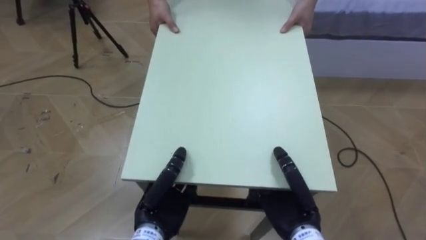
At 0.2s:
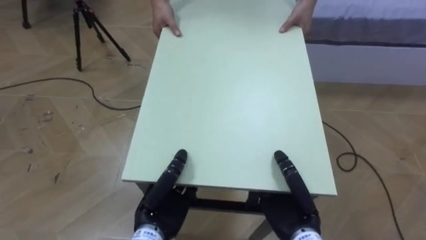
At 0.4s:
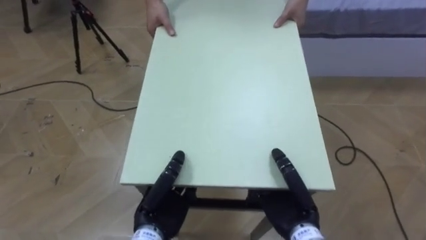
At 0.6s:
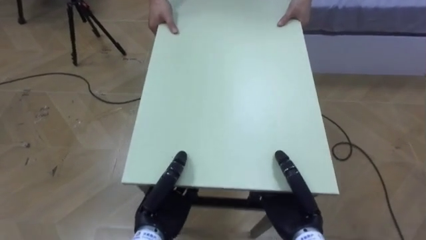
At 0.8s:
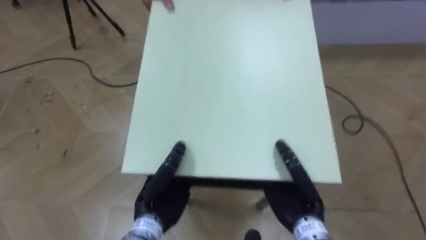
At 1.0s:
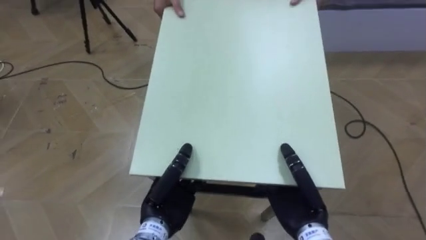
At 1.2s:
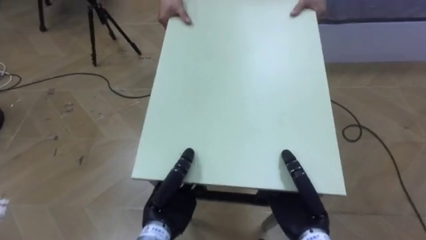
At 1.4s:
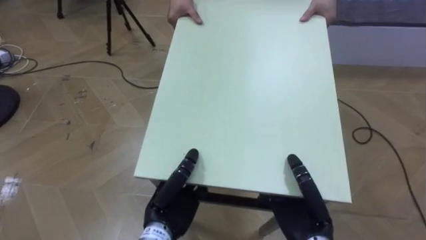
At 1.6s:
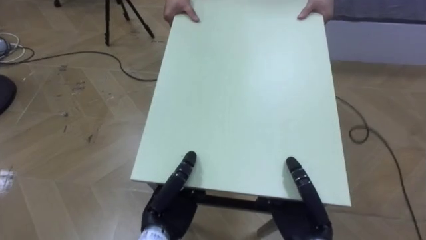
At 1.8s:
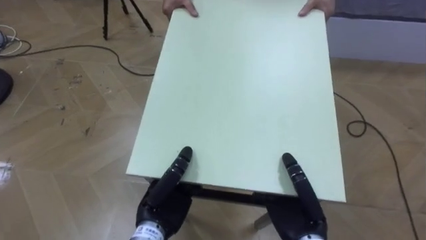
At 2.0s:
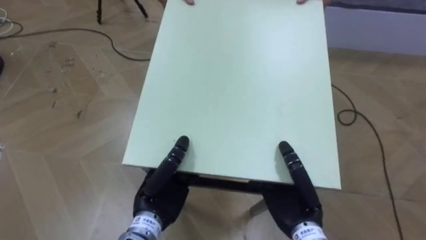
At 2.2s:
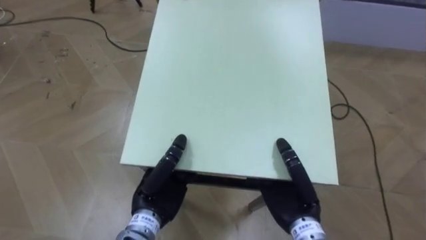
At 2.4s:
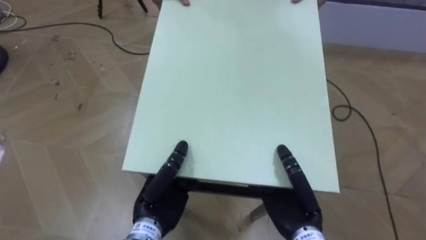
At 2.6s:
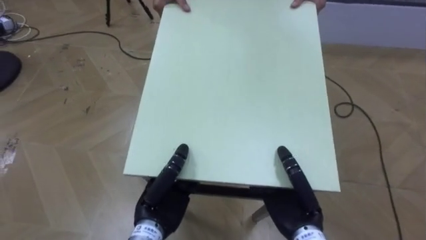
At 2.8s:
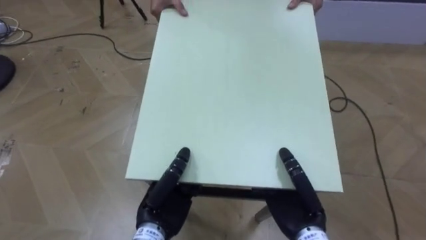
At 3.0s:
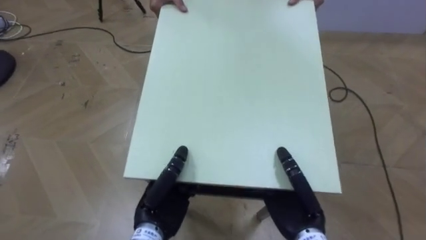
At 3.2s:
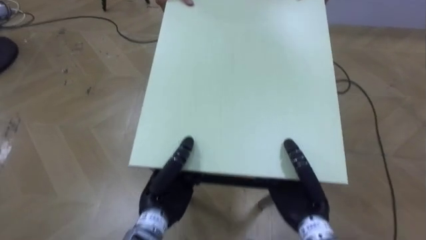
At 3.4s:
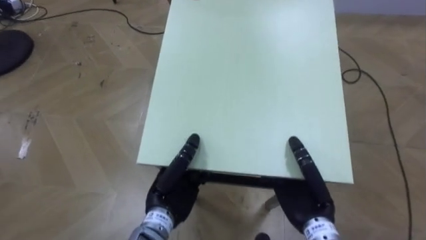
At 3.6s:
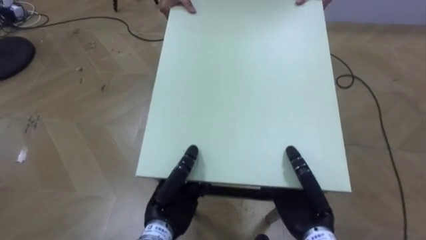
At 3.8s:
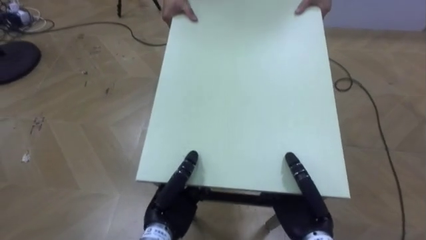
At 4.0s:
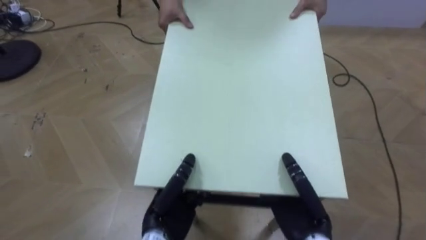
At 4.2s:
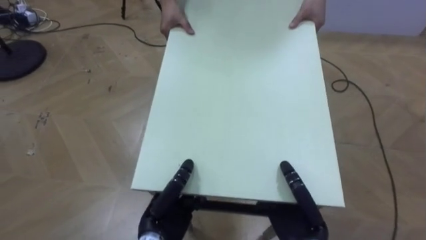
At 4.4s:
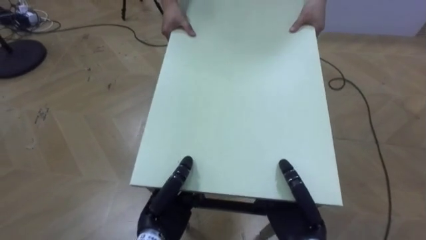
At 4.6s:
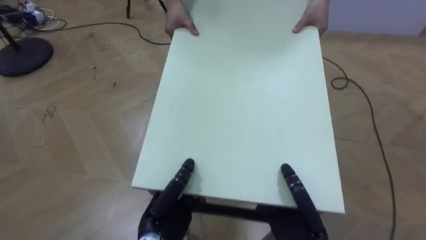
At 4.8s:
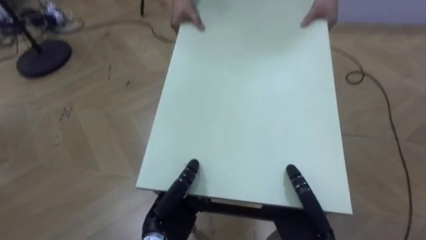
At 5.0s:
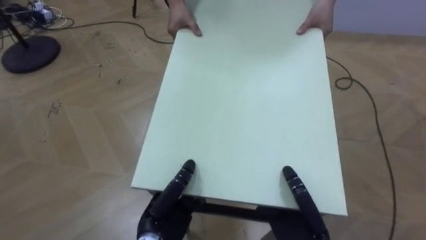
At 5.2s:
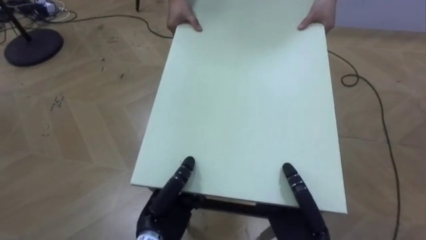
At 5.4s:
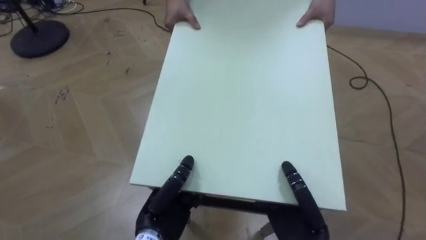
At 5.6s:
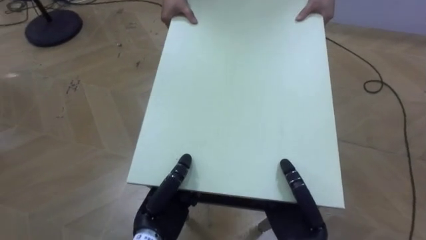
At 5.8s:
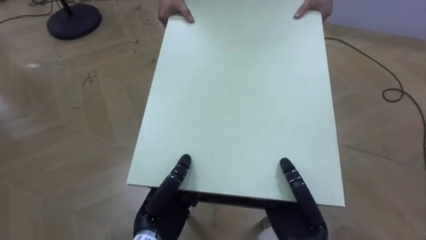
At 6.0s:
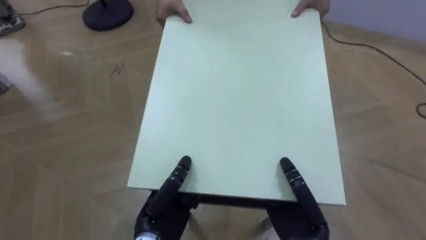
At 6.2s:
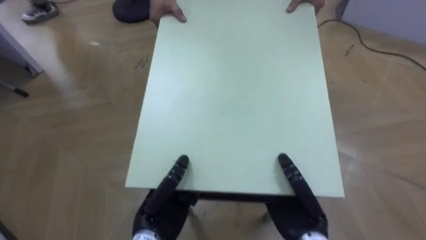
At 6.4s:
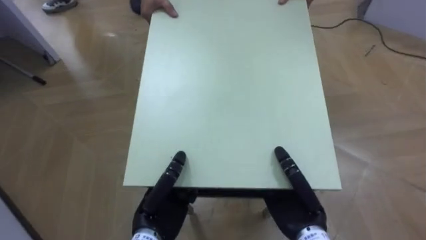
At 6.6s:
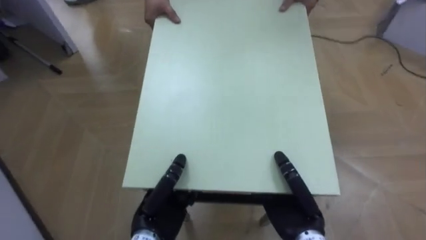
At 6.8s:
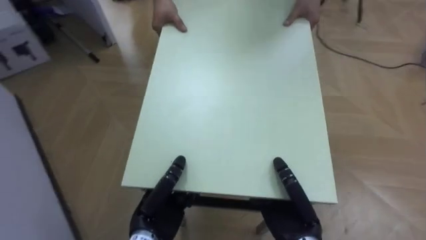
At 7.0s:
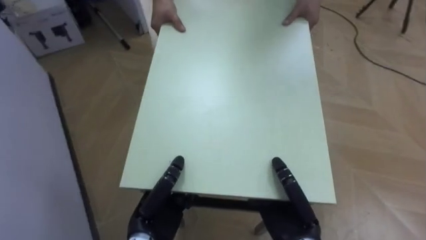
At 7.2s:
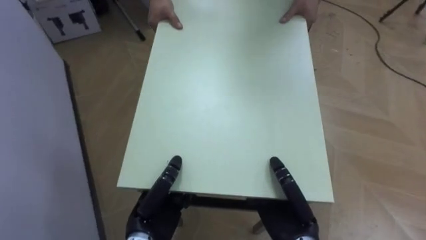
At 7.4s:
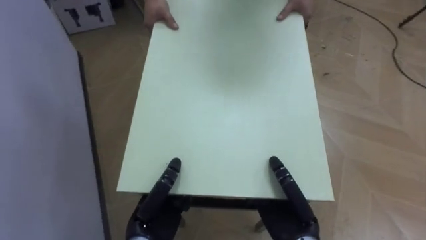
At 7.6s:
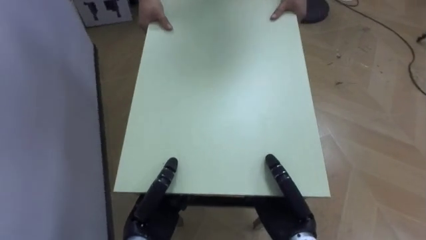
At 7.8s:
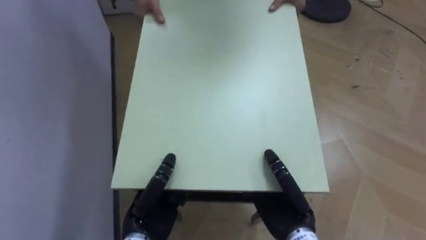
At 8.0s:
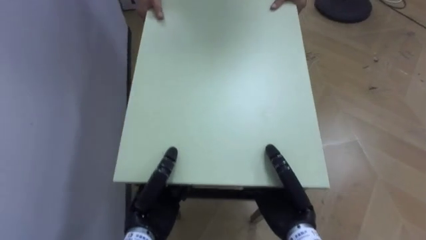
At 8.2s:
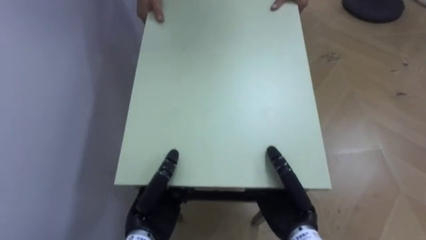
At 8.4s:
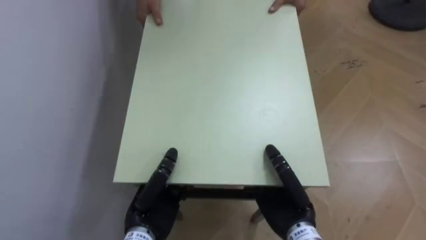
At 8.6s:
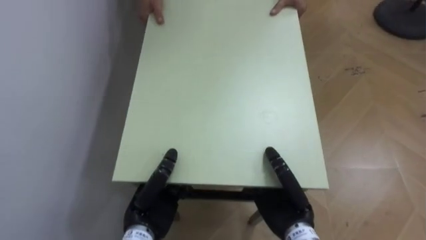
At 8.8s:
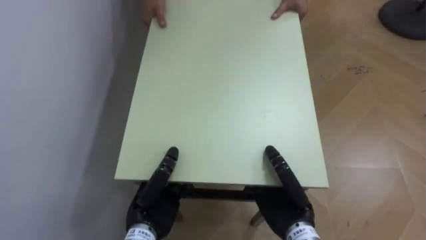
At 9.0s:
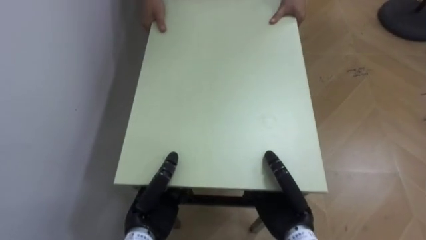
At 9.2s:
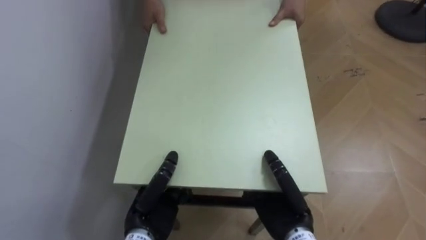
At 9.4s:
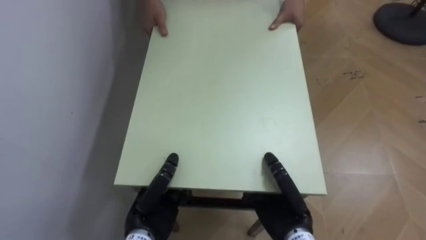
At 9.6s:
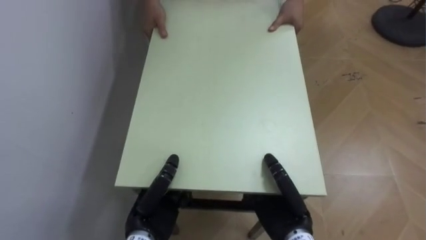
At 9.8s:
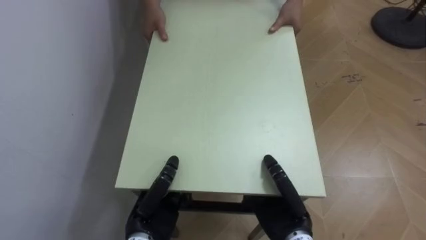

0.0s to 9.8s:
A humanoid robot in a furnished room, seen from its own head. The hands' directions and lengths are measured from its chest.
Task of the whole recording: Move the table to the back left with someone.
5.6s to 7.0s: The robot rotates roughly 40 degrees to its left.
7.0s to 8.4s: The robot's body swings approximately 30 degrees to its left.

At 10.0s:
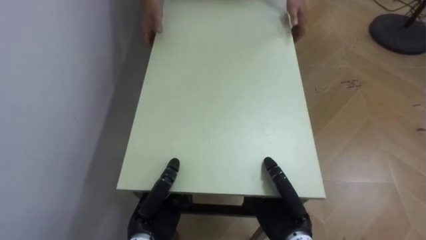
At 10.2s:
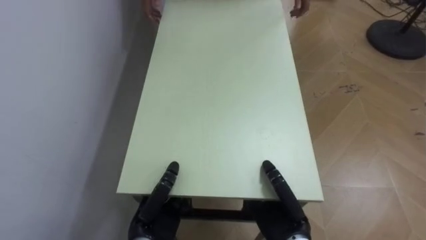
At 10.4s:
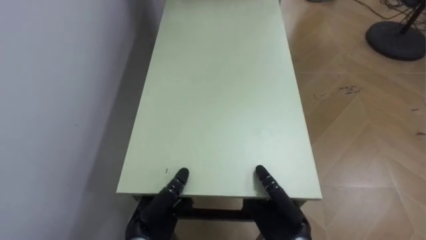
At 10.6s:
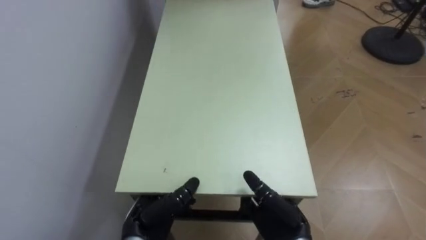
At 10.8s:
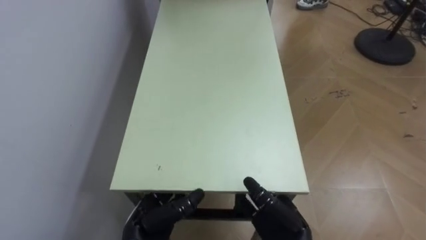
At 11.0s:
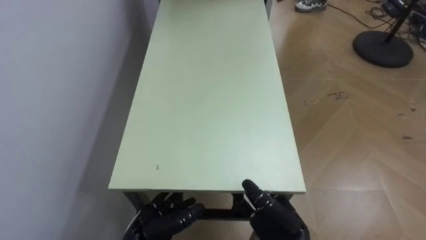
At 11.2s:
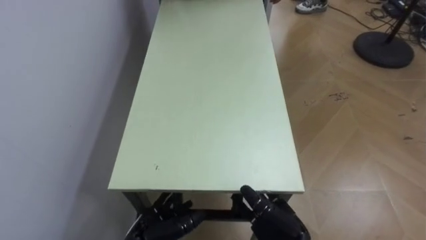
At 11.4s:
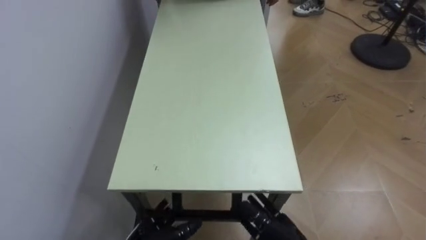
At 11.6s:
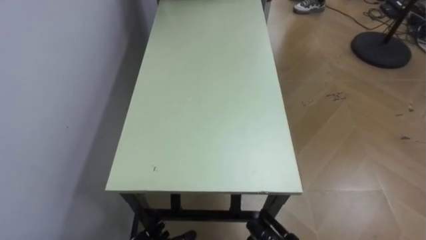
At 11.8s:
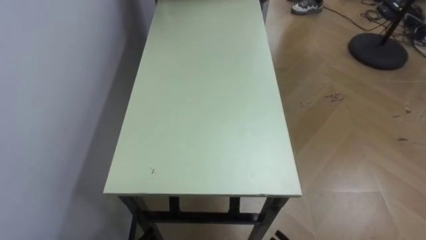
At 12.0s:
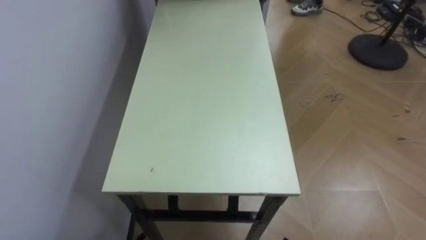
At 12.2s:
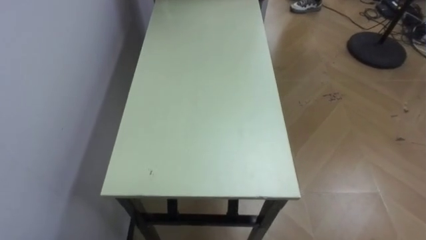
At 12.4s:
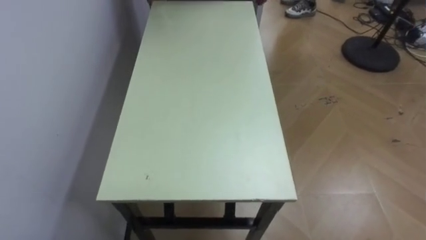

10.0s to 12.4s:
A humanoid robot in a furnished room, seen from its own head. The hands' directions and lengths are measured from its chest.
Task of the whole recording: Move the table to the back left with someone.
10.0s to 11.2s: The right hand opens up. The left hand ends up about 5 cm from where it was, and opens.

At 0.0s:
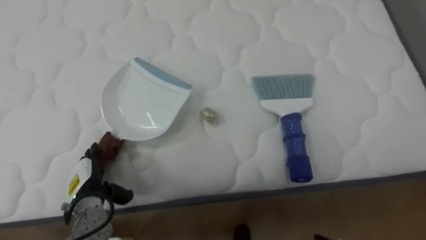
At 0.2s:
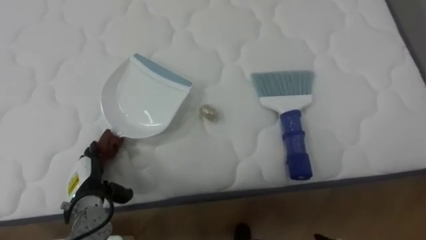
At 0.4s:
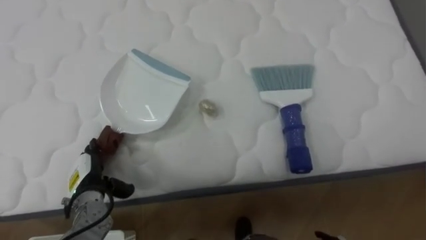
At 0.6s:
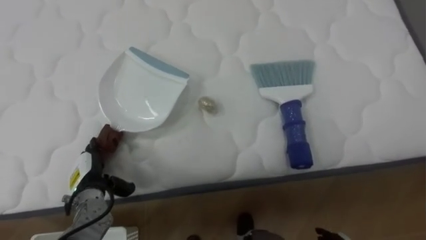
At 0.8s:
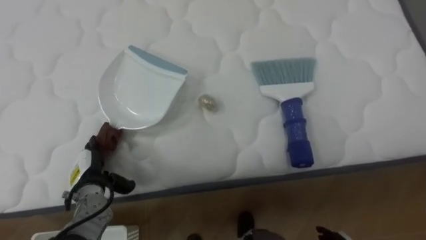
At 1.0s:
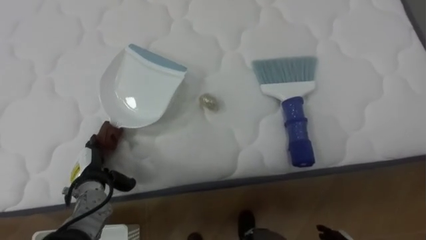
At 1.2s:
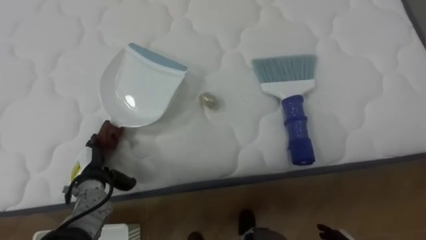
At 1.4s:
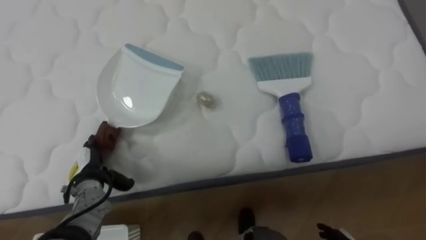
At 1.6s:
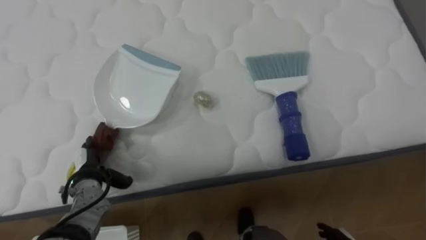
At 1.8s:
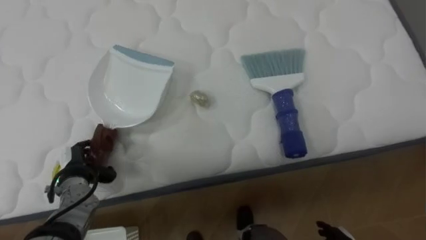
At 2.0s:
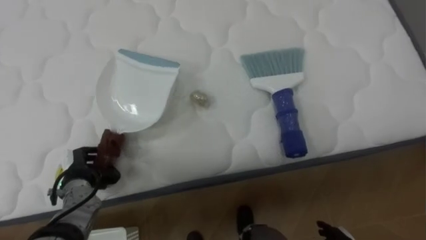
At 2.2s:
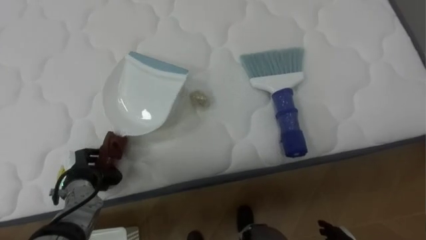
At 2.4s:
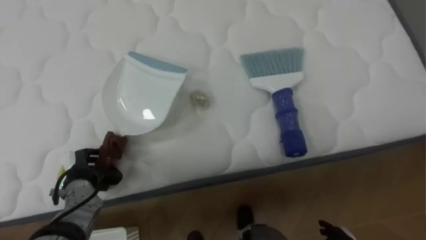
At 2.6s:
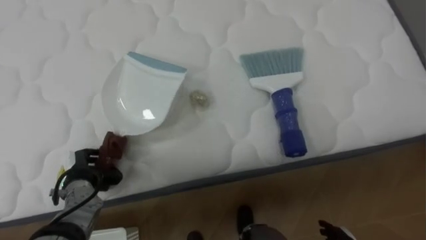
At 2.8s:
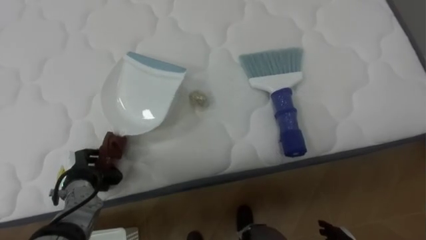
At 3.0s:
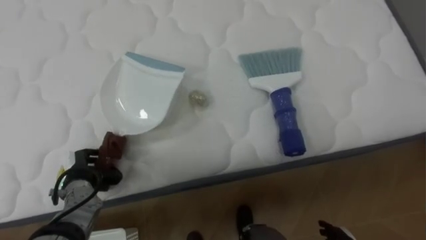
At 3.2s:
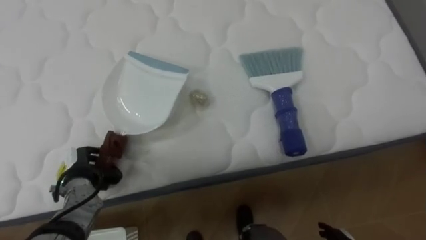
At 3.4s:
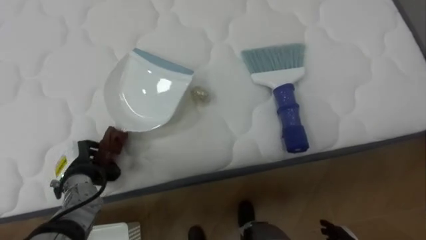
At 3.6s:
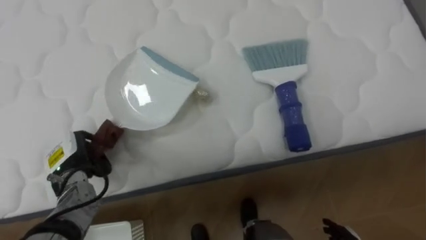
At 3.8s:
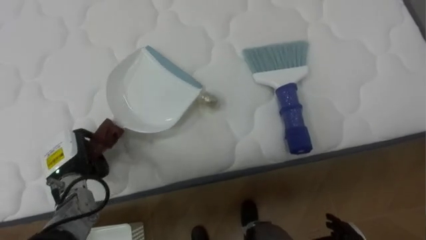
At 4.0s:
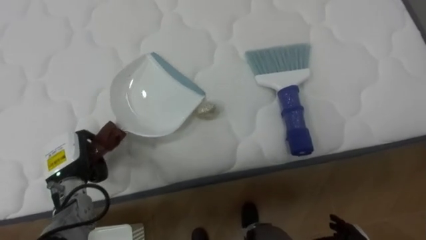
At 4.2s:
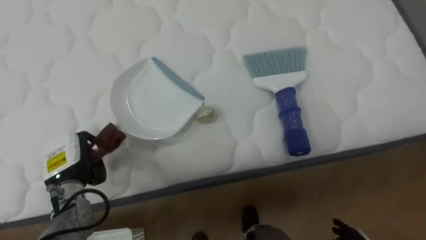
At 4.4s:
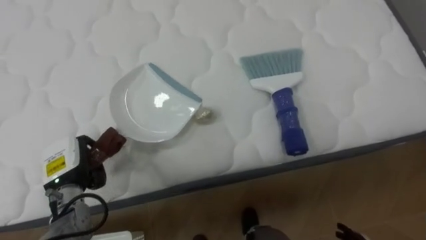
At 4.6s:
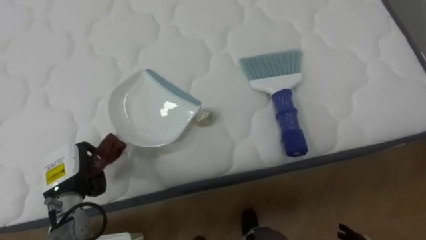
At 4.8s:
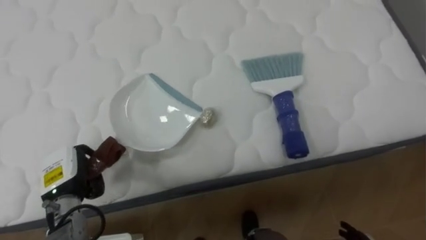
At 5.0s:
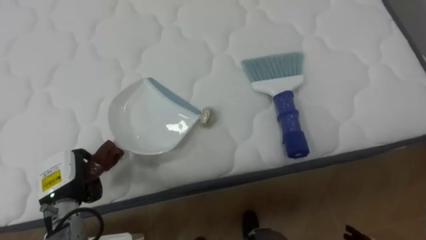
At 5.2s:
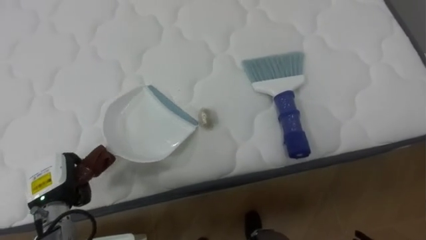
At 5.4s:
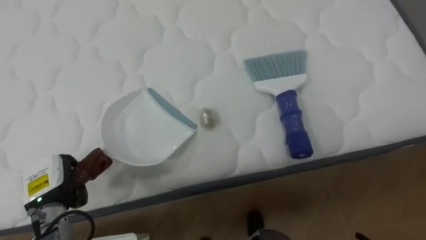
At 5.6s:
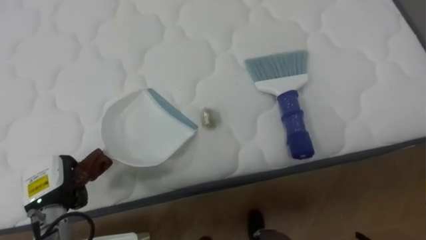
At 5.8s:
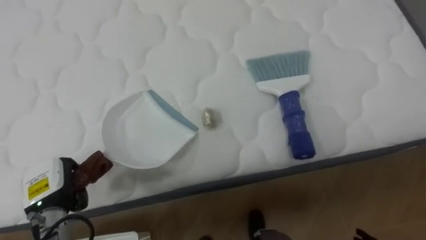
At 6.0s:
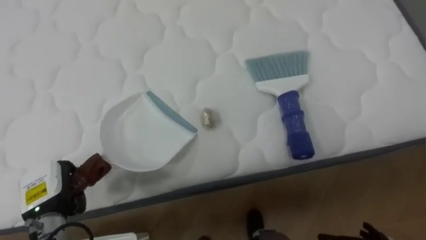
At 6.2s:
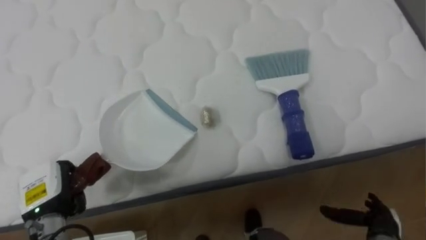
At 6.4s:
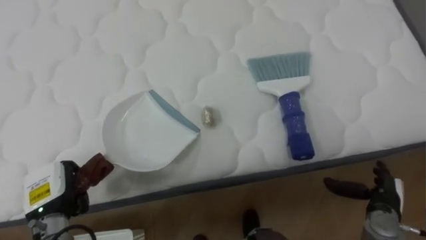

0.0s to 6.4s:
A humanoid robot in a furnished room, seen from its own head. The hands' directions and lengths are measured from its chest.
Task of the whole recording: Pick up the brush on your right and the dustpan on your left. Use the brush to sweep the crumpled paper on the bed into the dustpan, then turn left and empty it into the basket.
1.6s to 3.2s: The left hand closes up.
